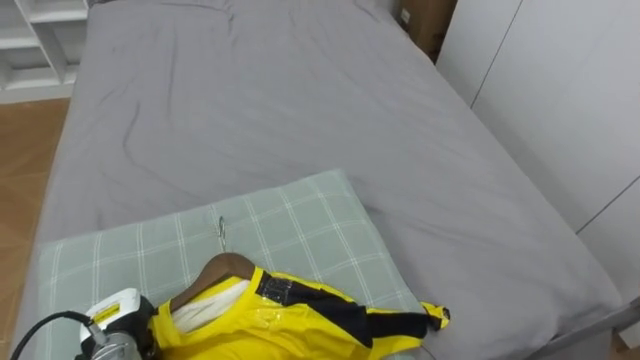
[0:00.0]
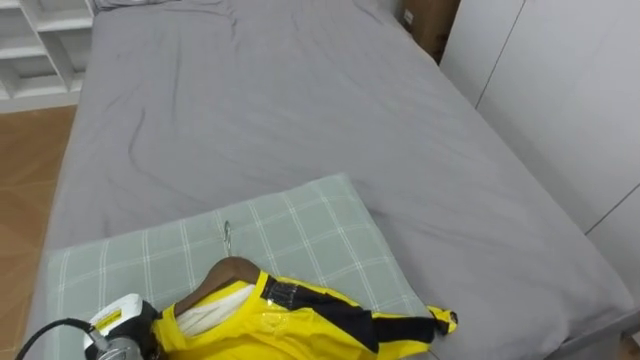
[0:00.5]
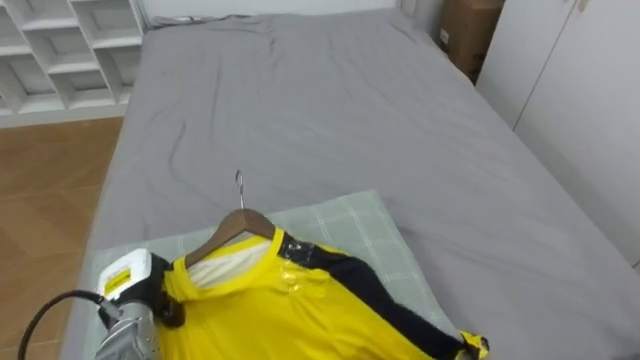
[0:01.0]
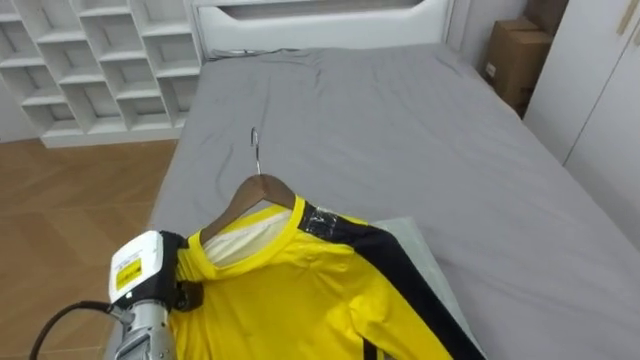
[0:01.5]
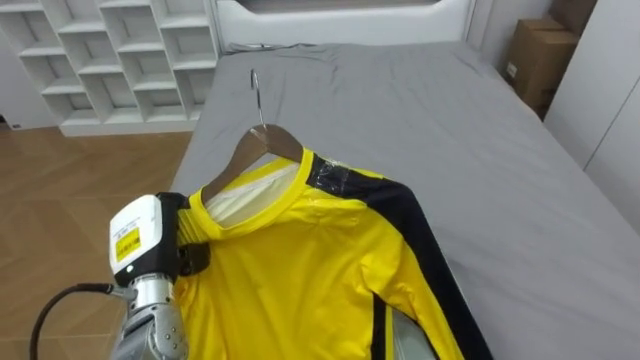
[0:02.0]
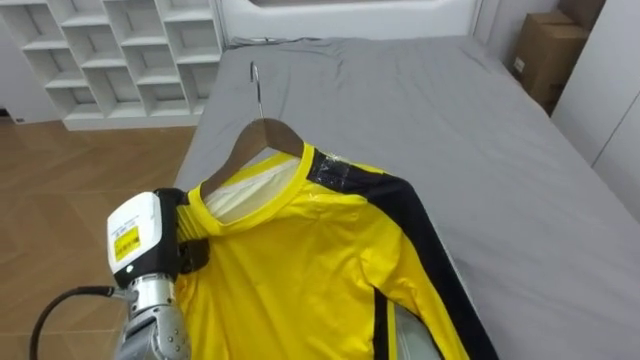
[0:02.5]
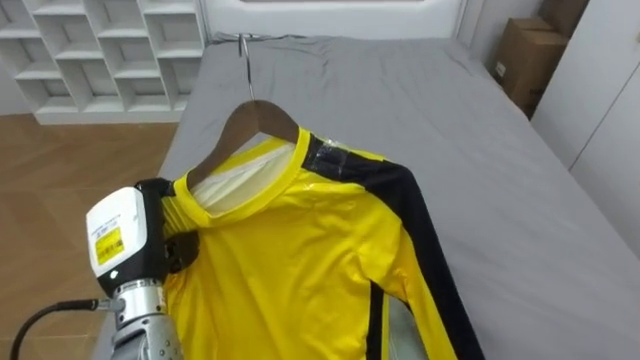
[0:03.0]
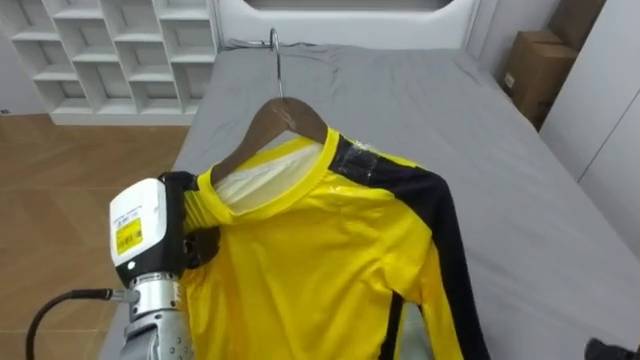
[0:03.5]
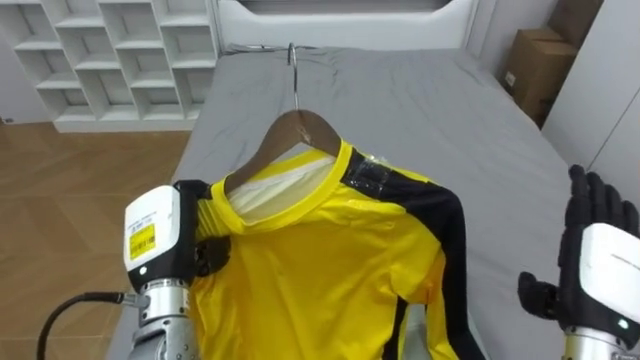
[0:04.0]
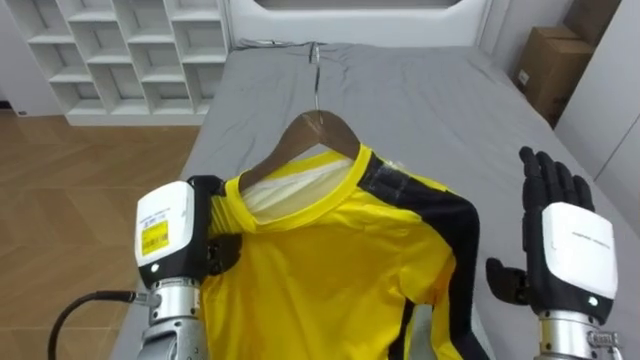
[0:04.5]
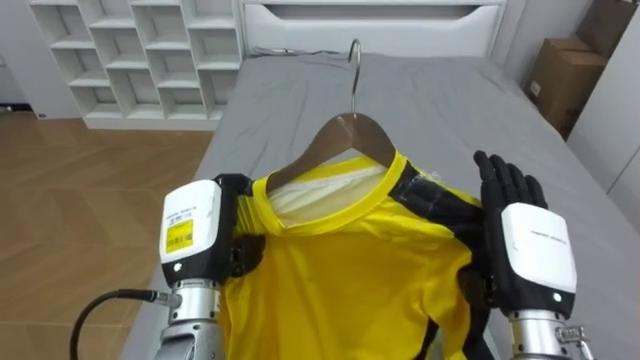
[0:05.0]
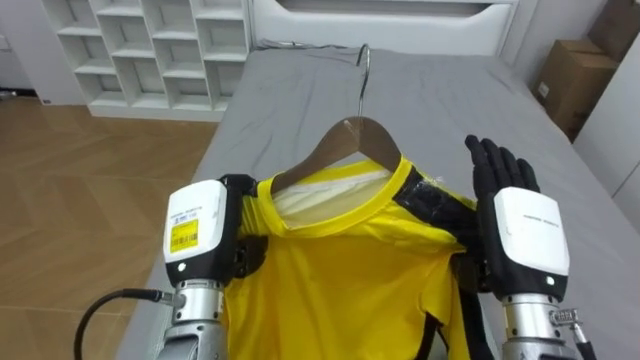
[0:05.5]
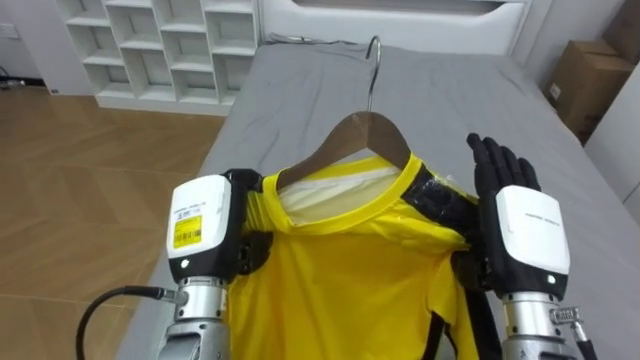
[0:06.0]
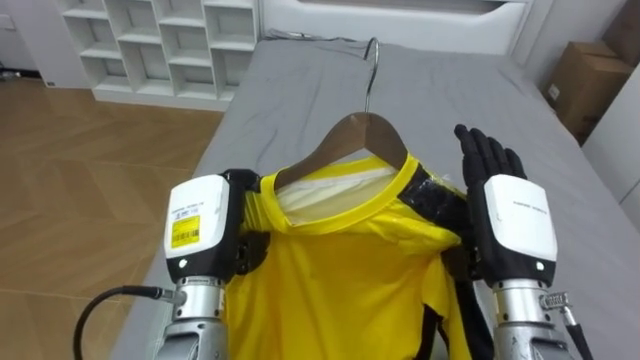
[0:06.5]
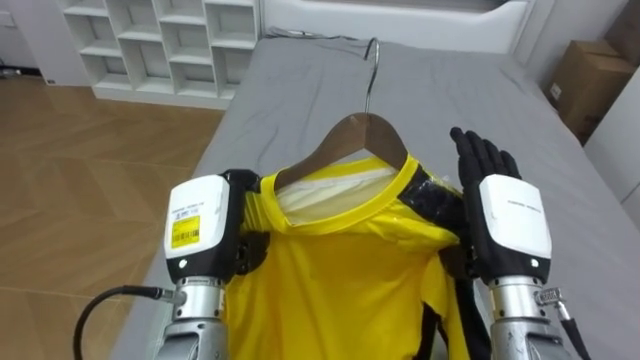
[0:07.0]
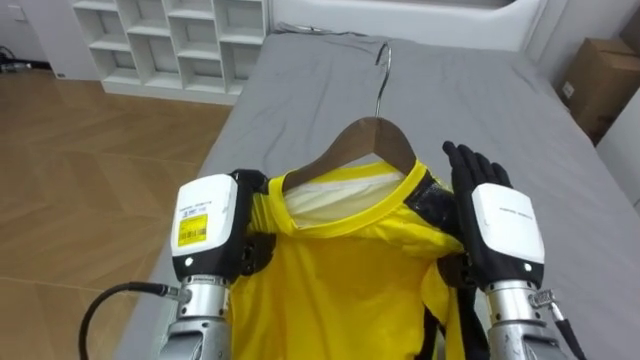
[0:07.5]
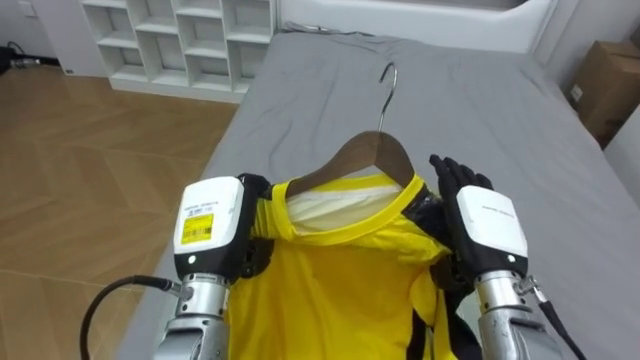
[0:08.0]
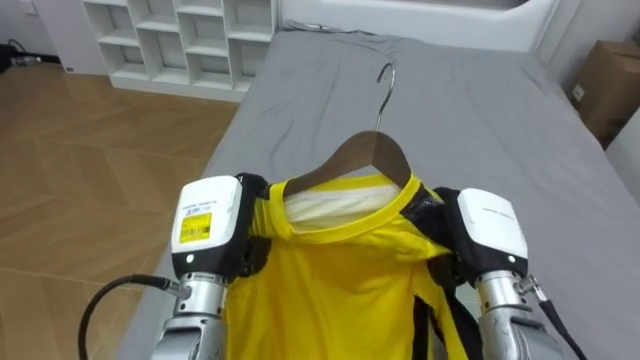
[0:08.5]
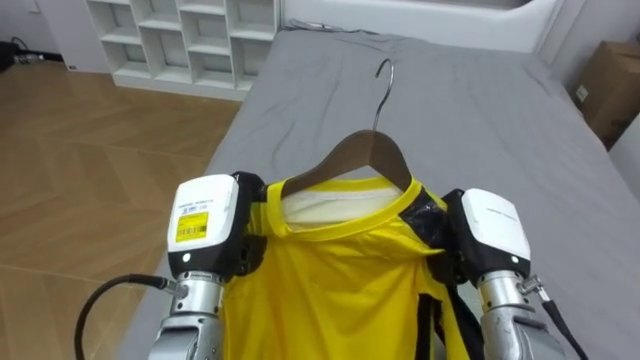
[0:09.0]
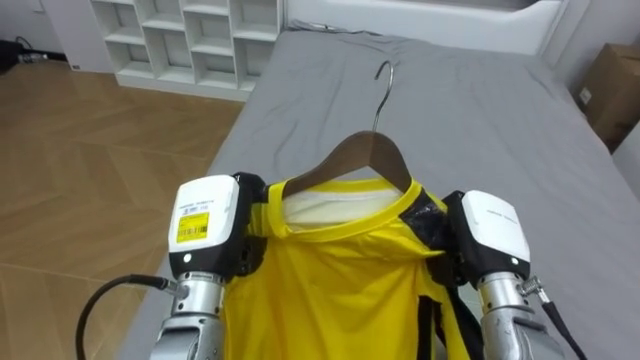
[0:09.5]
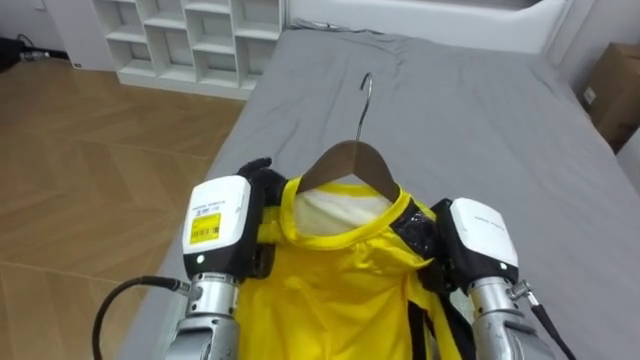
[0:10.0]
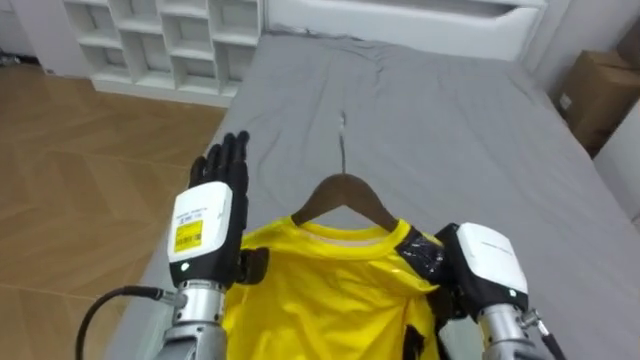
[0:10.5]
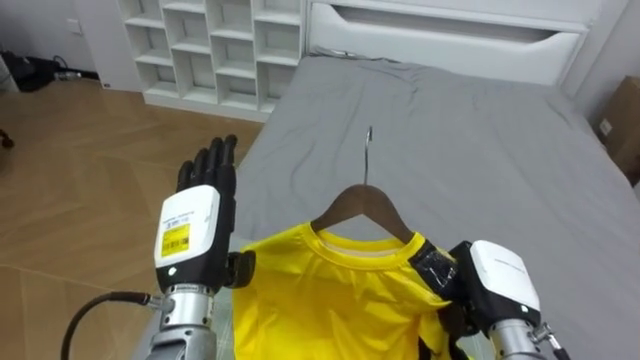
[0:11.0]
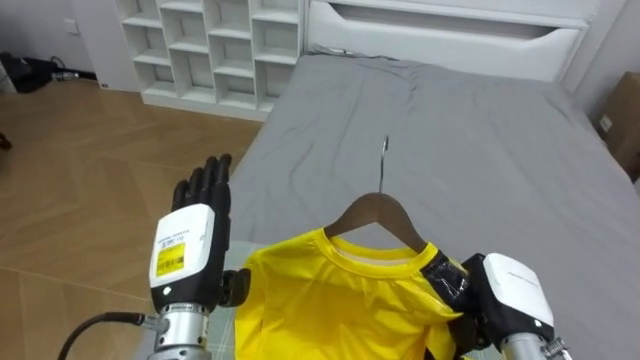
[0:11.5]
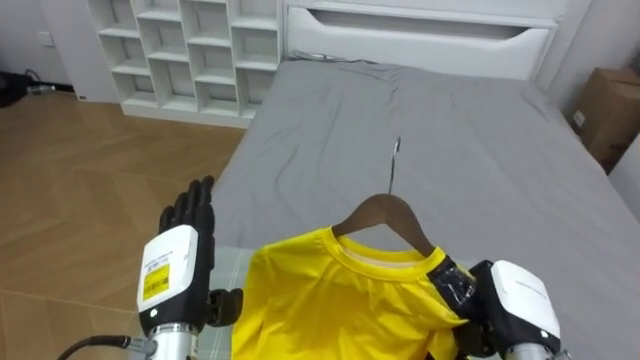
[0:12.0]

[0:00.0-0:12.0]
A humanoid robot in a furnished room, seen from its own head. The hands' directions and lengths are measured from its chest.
Task of the whole recording: Pick up the yellow shirt on the bed and hang it on the clothes rack on the right.
0:00.0 to 0:02.0: The left hand goes roughly 15 cm upward and to the right.
0:02.0 to 0:04.0: The left hand changes place by approximately 5 cm.
0:04.0 to 0:06.0: The right hand moves to the left, about 10 cm, while the left hand goes about 5 cm to the right.
0:06.0 to 0:08.0: The right hand ends up approximately 5 cm from where it was.
0:08.0 to 0:10.0: The right hand closes its fingers. Meanwhile the left hand opens up.
0:10.0 to 0:12.0: The left hand goes roughly 5 cm to the left; the right hand is displaced downward by roughly 5 cm.

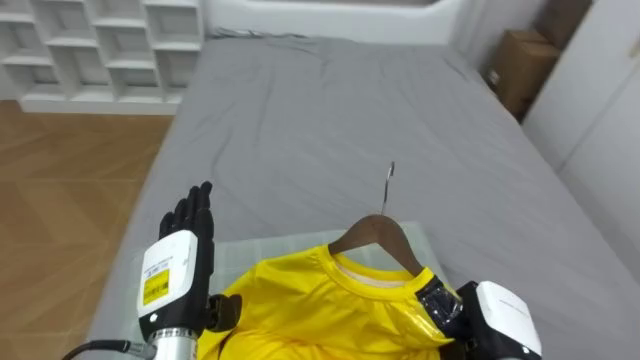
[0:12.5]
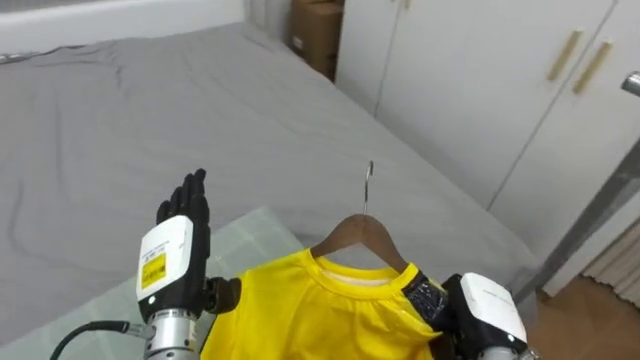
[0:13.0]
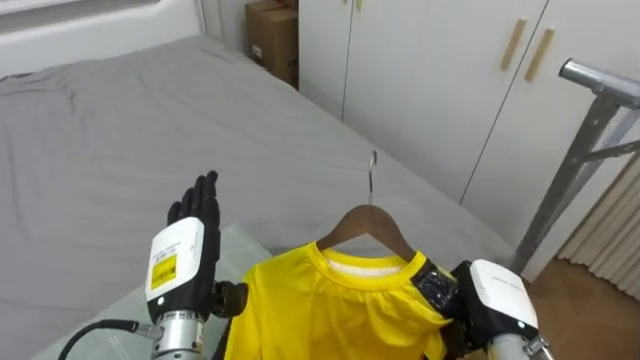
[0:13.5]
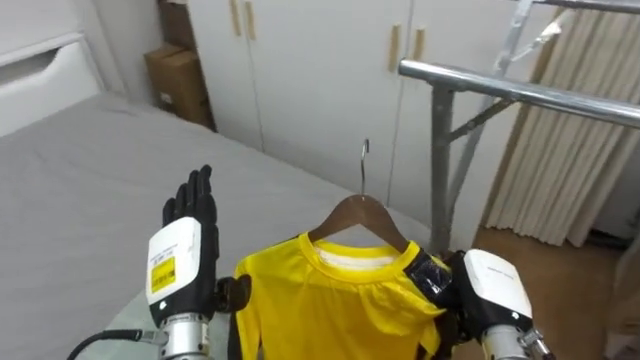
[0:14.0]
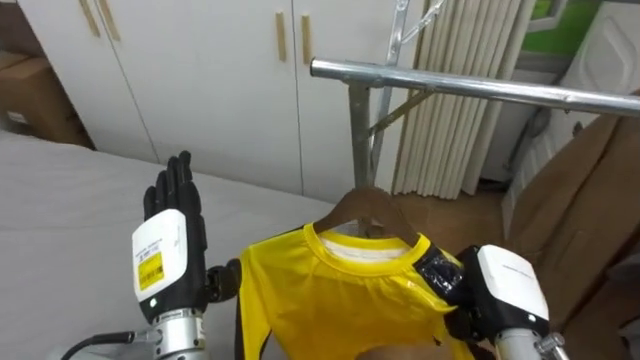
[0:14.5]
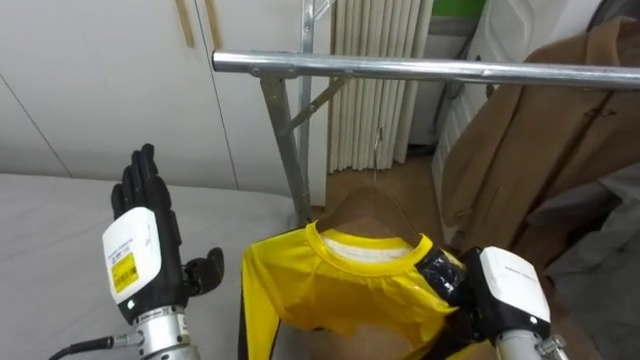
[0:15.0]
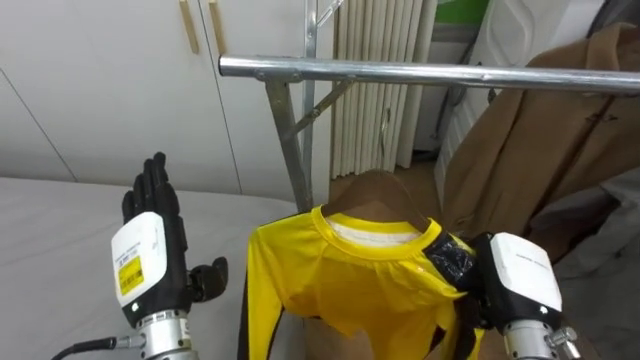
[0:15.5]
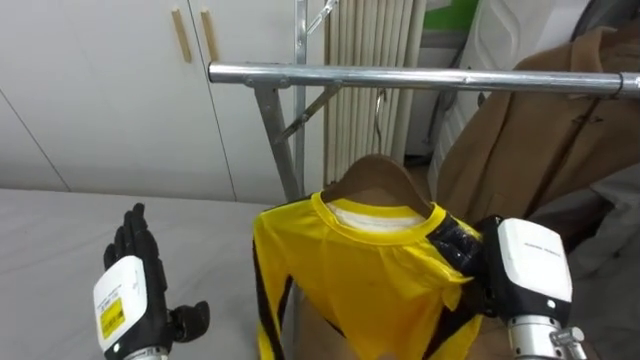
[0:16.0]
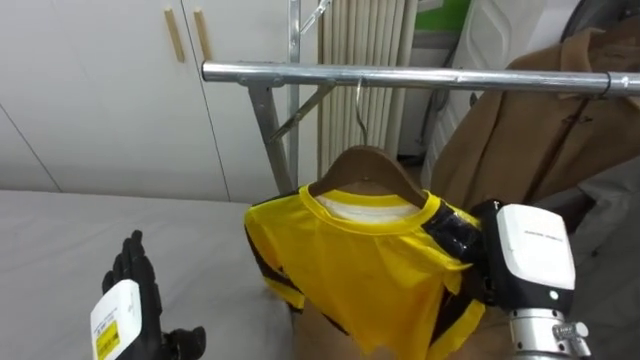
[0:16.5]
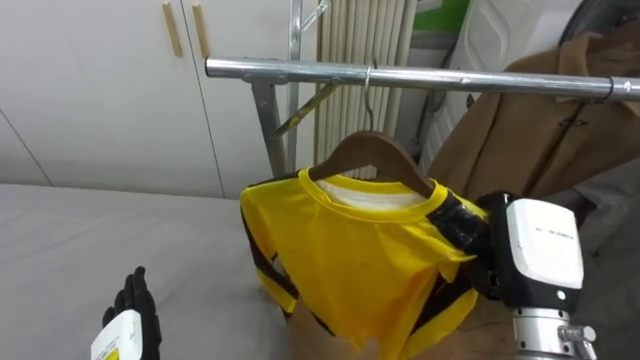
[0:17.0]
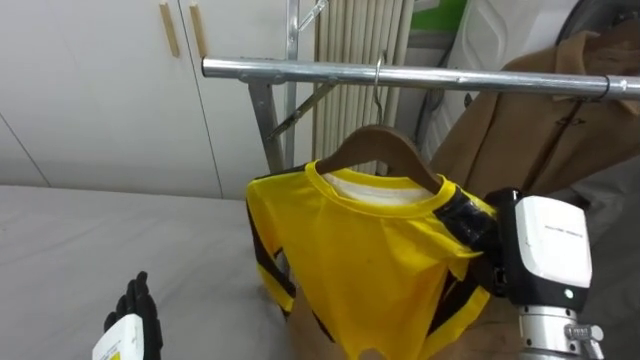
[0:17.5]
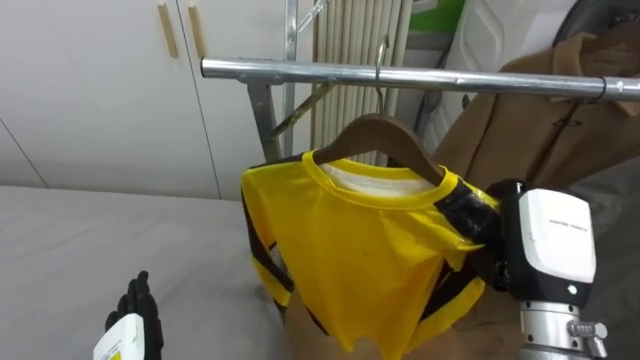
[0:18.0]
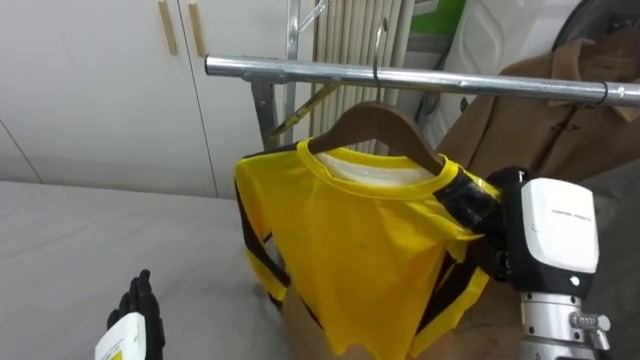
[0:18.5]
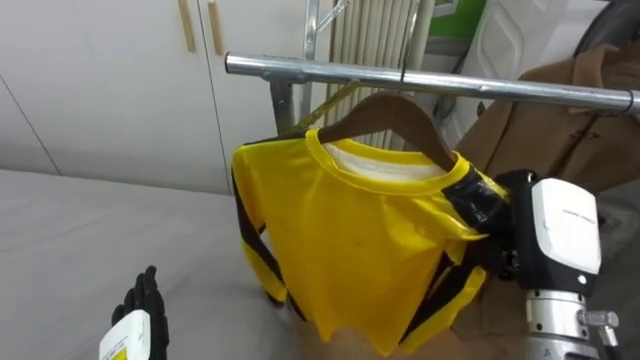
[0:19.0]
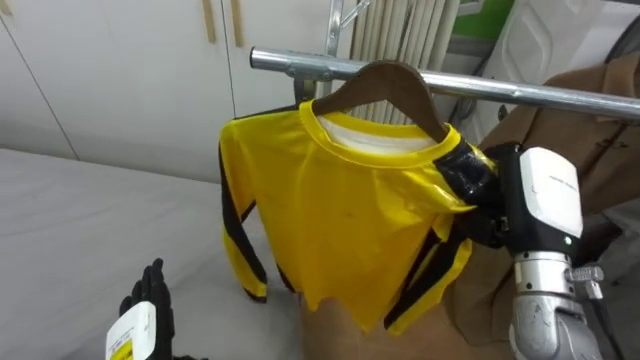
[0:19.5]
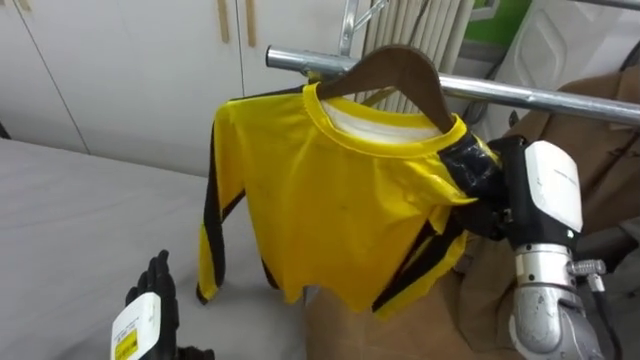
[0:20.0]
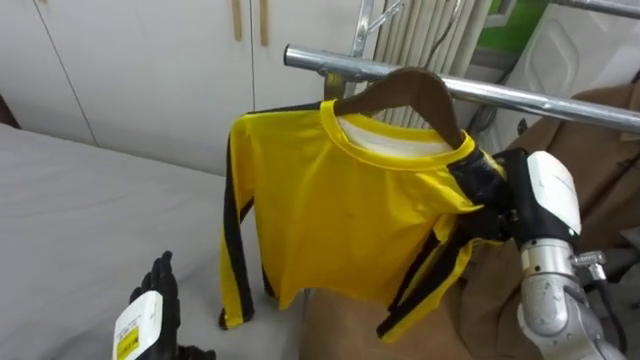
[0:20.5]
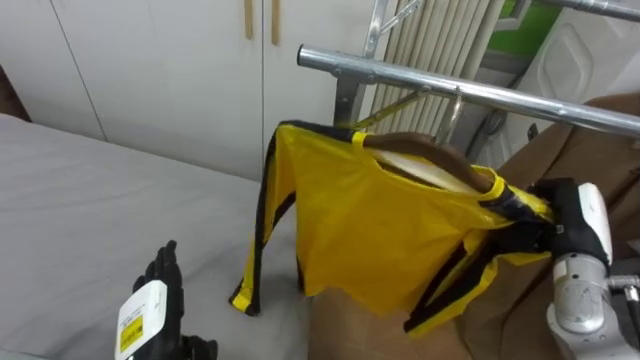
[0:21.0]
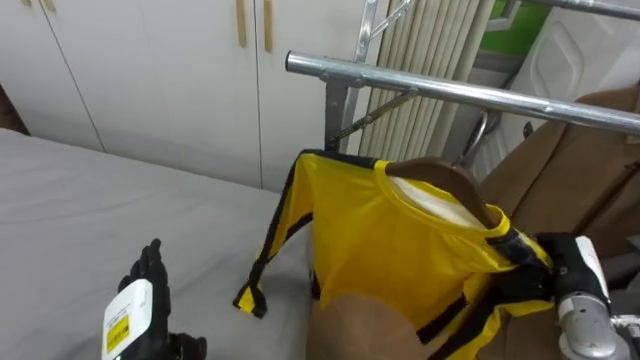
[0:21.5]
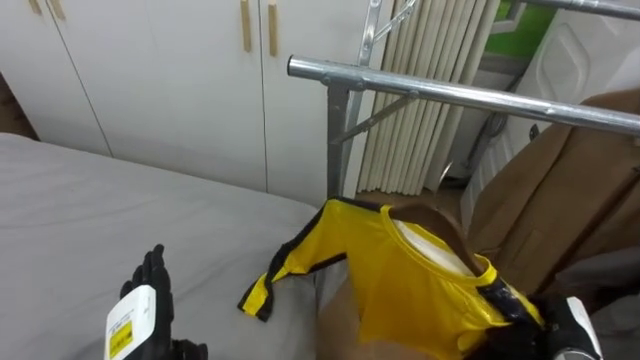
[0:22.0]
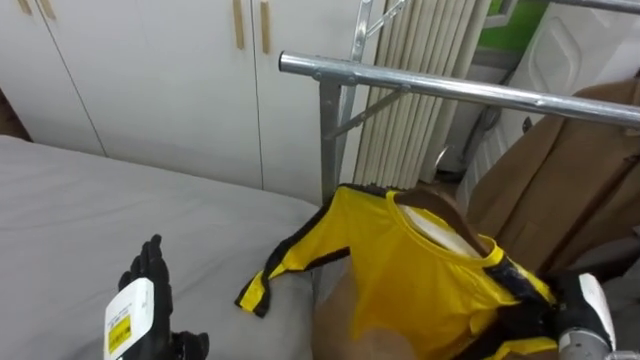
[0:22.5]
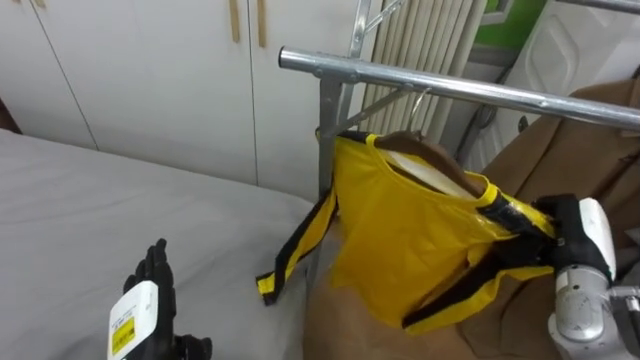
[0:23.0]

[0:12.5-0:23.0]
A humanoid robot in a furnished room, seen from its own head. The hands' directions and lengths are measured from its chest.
Task of the whole recording: Pick up the yellow shirt on the bed and hang it on the clothes rack on the right.
0:12.5 to 0:14.5: The robot faces about 70 degrees further to its right. The right hand moves upward, roughly 5 cm.
0:14.5 to 0:16.5: The robot faces roughly 15 degrees further to its right. The right hand shifts roughly 5 cm upward. Meanwhile the left hand moves downward and to the left, about 10 cm.
0:19.0 to 0:21.0: The right hand goes approximately 10 cm to the right, forward and downward.
0:21.0 to 0:23.0: The right hand travels downward and back again, roughly 15 cm each way.
